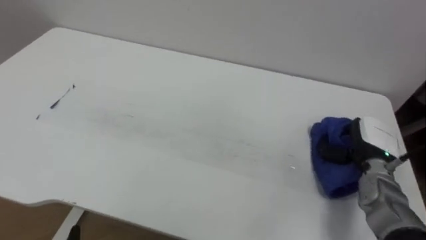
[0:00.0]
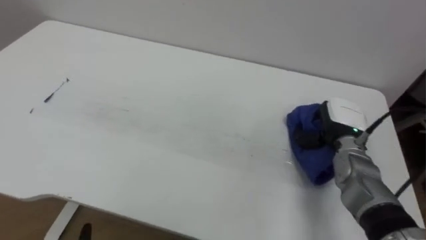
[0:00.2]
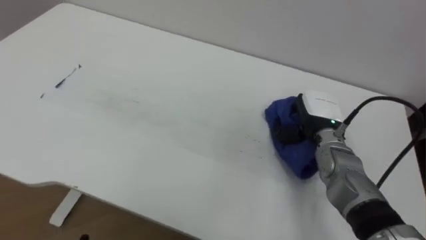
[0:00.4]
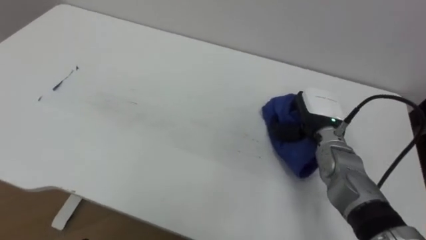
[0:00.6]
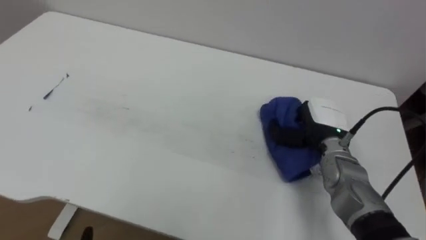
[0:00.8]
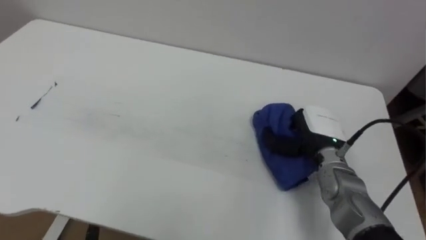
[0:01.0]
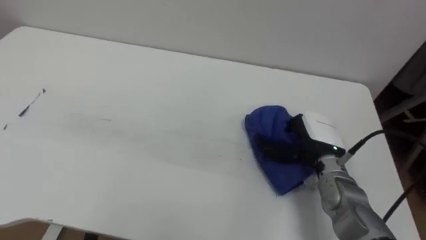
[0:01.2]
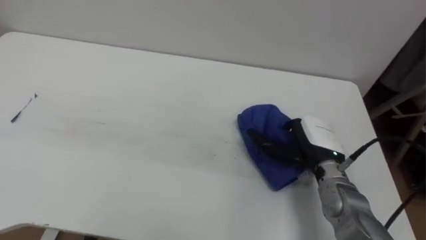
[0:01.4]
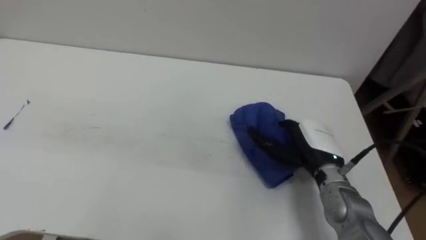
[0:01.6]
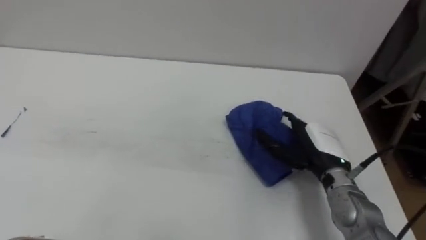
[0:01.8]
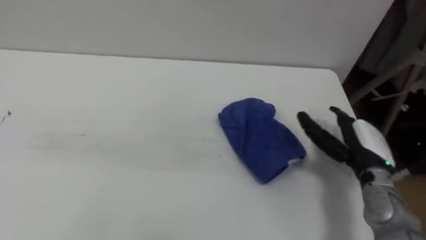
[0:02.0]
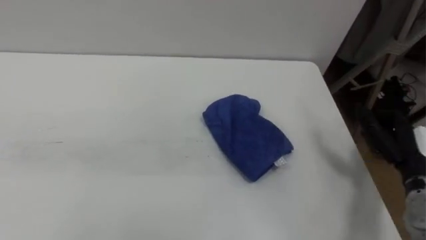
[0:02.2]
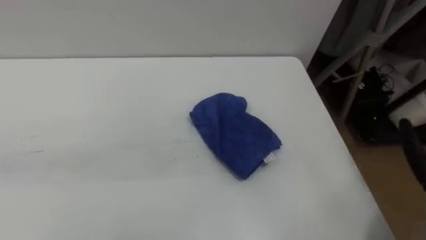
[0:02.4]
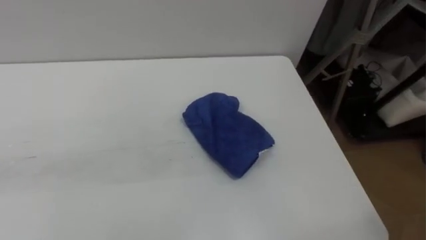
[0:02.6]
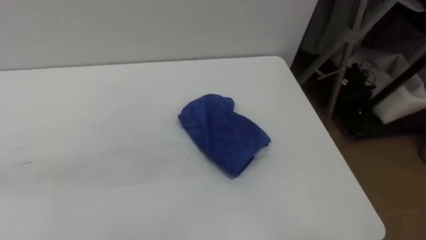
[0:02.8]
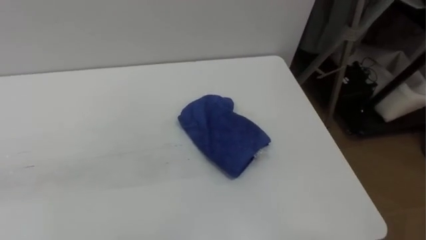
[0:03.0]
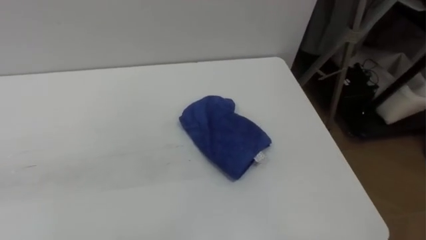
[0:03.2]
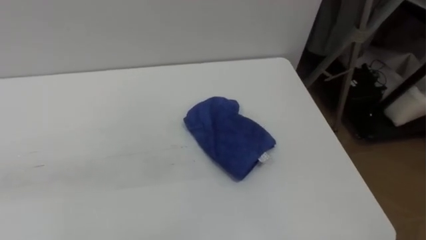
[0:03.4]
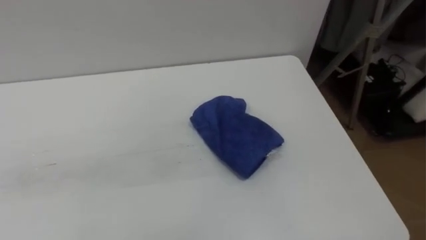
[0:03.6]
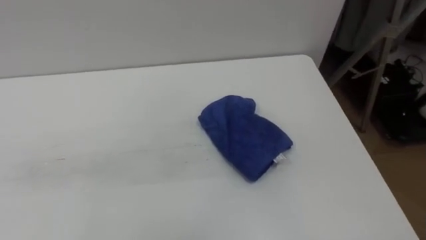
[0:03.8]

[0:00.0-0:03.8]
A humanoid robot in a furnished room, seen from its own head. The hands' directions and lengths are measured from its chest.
Task of the whole recording: Wipe the blue pen marks off the table with the rag.
0:00.0 to 0:01.2: The right hand moves to the left, about 10 cm, and opens its fingers.

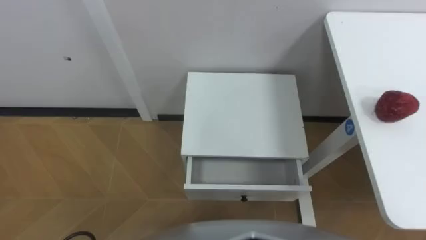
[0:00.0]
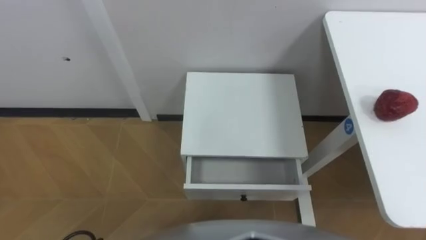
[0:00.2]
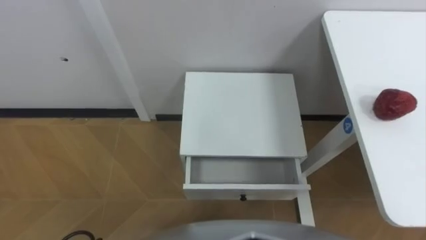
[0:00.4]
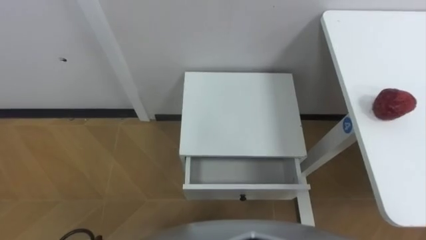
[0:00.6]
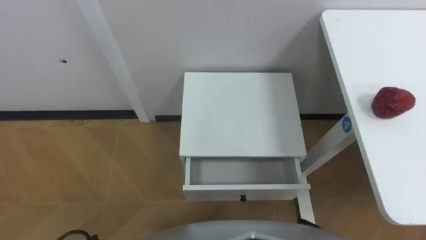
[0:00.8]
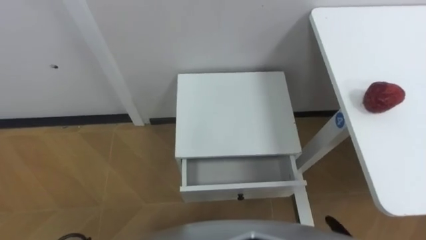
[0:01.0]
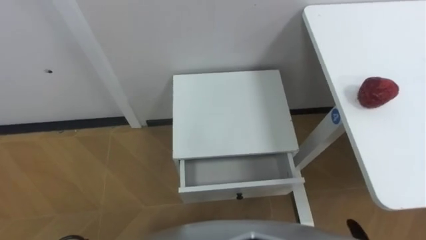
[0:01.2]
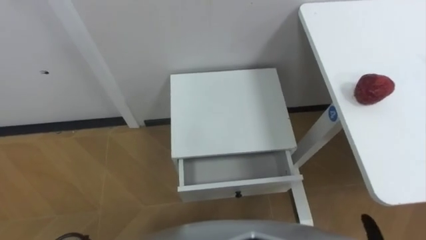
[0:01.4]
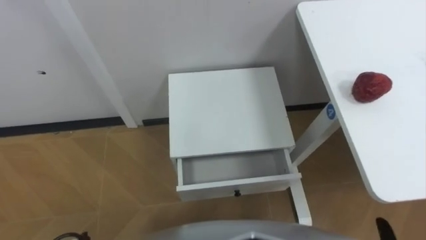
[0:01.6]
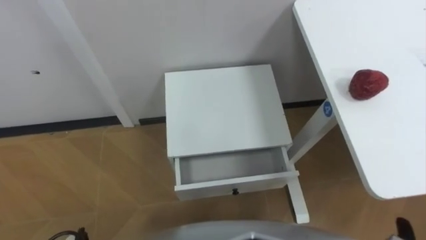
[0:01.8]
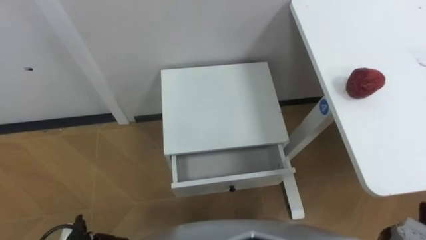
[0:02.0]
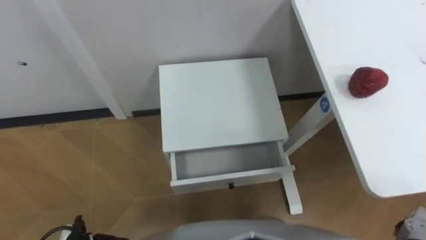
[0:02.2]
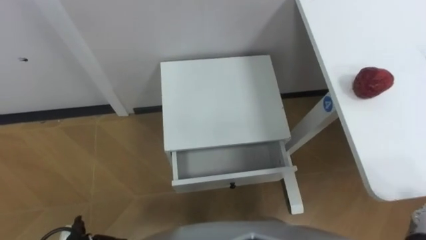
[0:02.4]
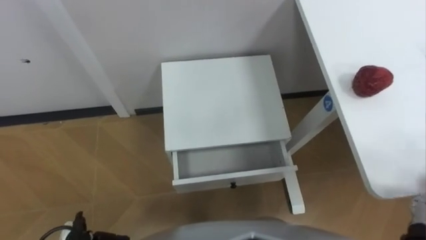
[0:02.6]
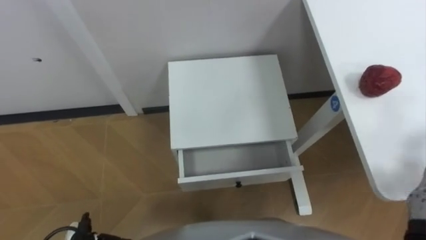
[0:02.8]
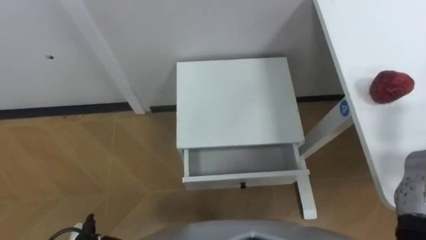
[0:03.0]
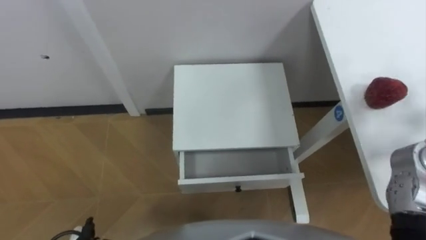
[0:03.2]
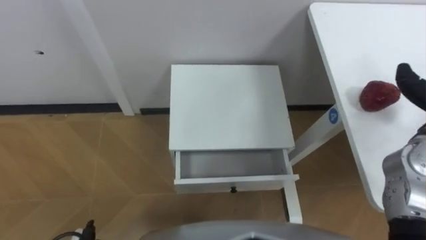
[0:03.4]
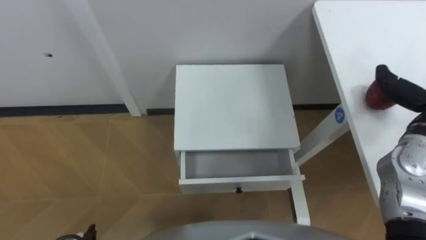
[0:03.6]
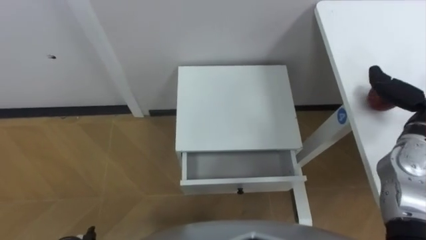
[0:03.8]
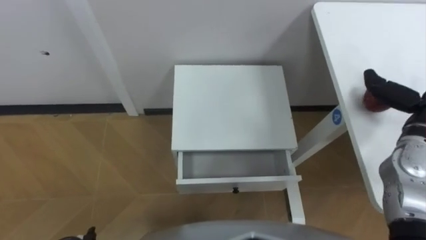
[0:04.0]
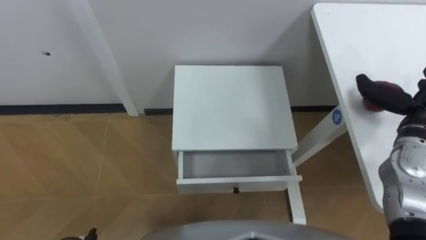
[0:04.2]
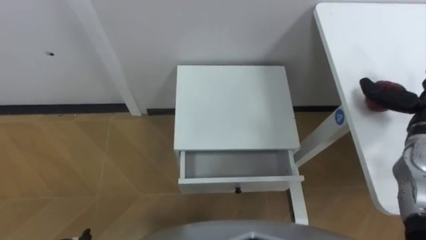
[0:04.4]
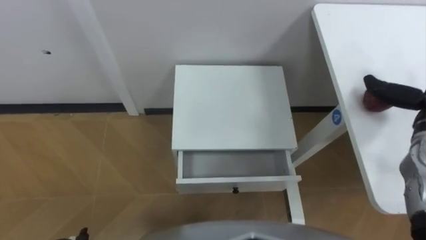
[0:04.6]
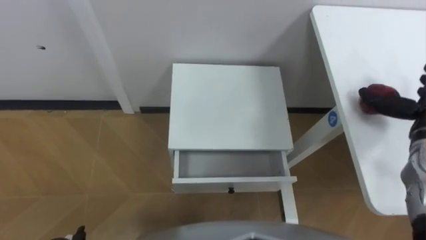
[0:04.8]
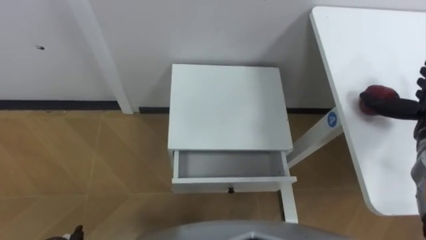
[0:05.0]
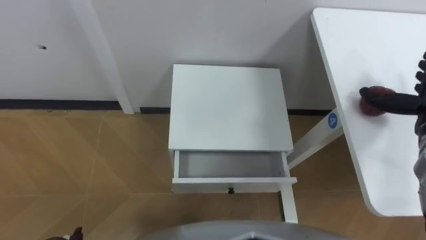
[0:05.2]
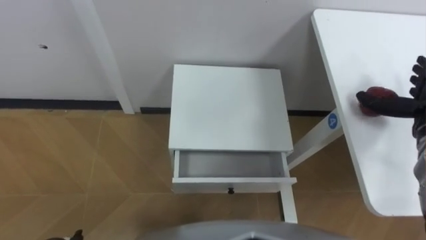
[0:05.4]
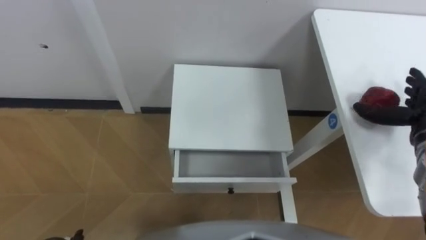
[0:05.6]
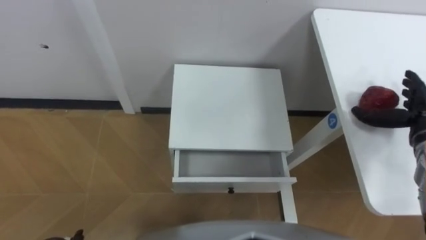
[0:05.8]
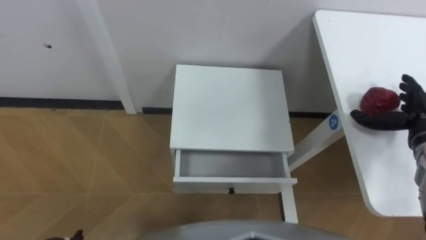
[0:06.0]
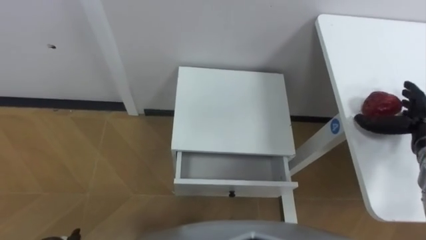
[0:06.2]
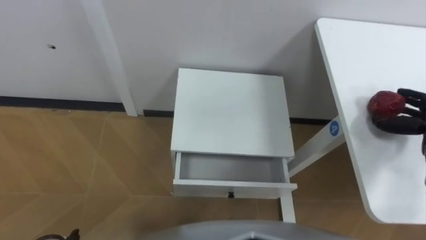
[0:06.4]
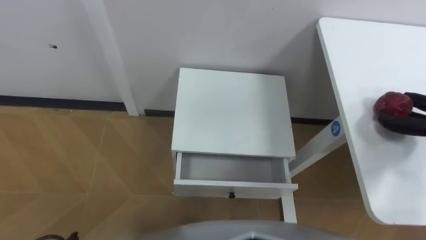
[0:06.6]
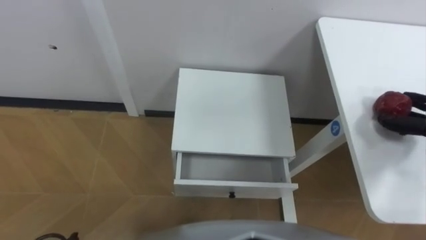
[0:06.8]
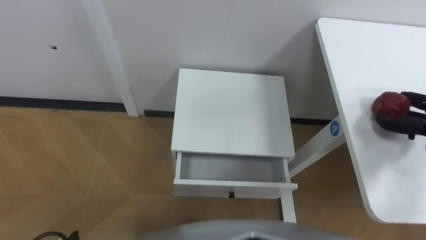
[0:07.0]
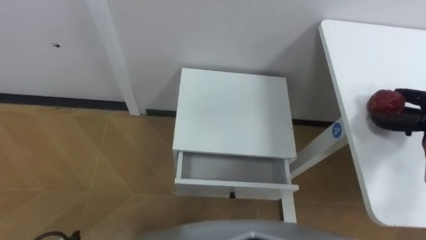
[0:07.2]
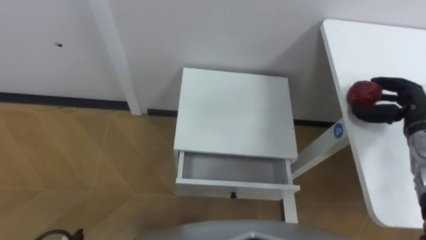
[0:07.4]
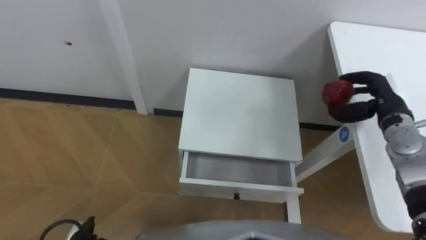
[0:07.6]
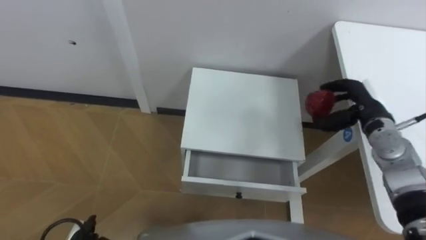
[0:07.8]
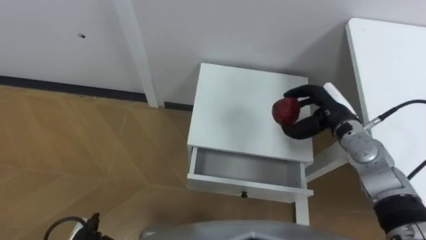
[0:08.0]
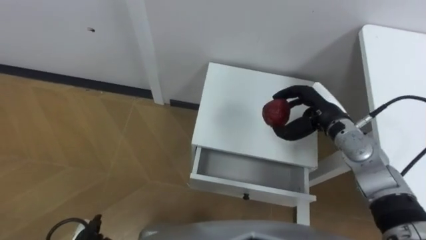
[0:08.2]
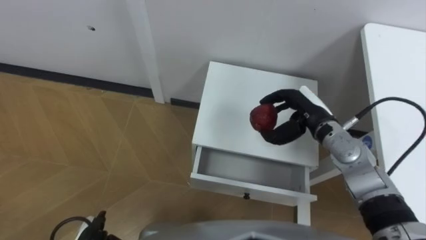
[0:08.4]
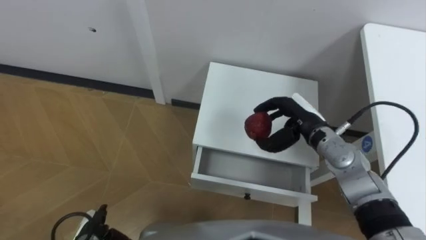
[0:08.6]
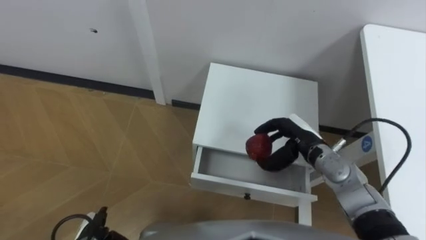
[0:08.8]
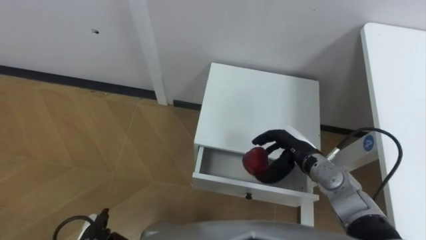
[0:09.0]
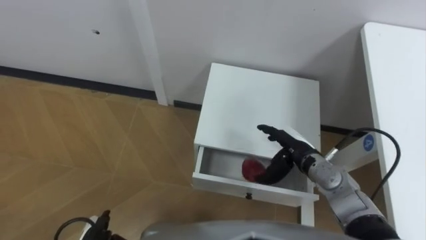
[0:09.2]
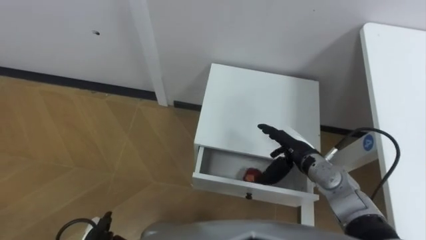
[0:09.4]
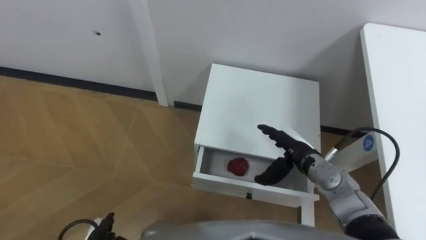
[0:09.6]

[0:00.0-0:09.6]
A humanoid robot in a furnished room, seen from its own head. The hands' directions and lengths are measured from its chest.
Task of the whole recording: Pick up the apple from the table, put it in the drawer, and close the drawer with leg.
0:08.0 to 0:09.6: The right hand goes roughly 10 cm to the left, downward and backward, and opens its fingers.

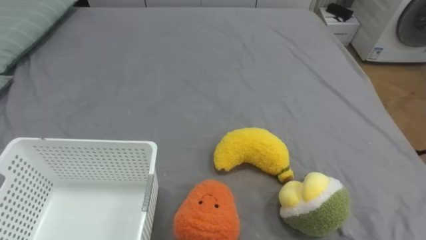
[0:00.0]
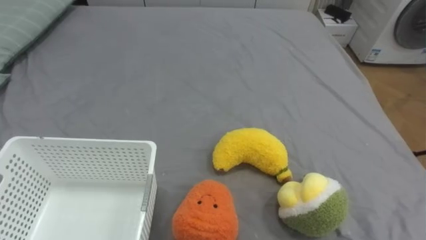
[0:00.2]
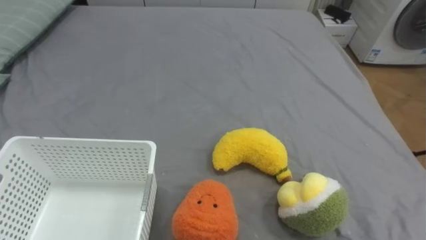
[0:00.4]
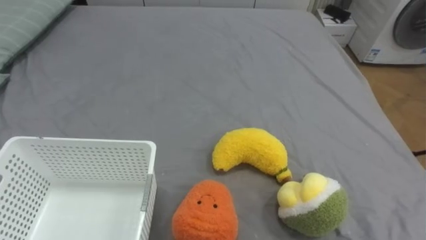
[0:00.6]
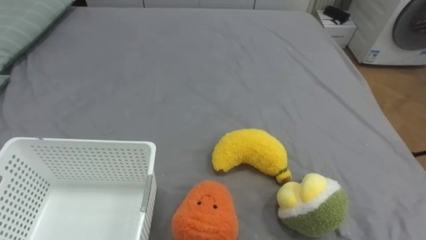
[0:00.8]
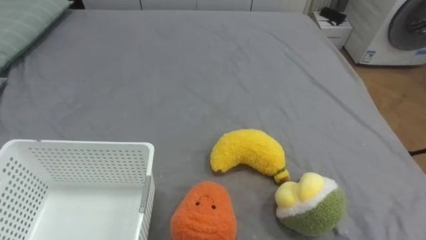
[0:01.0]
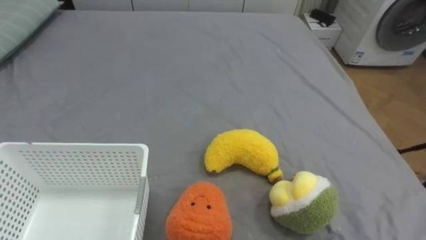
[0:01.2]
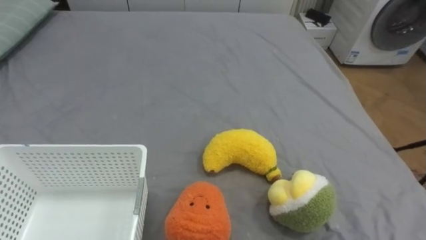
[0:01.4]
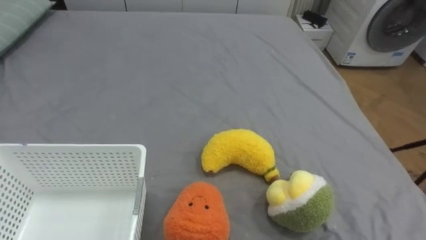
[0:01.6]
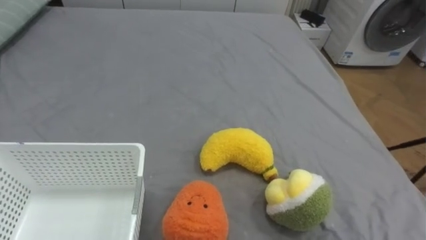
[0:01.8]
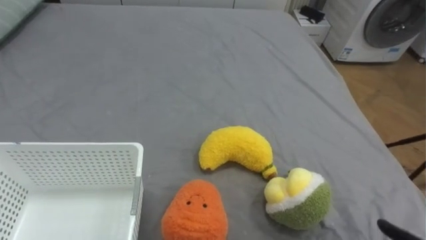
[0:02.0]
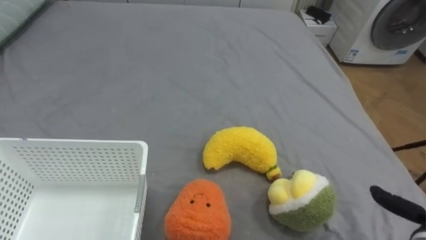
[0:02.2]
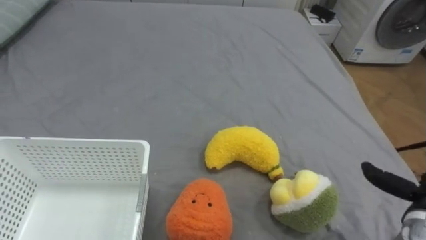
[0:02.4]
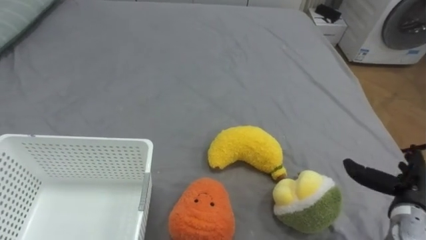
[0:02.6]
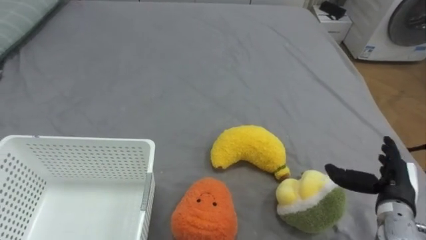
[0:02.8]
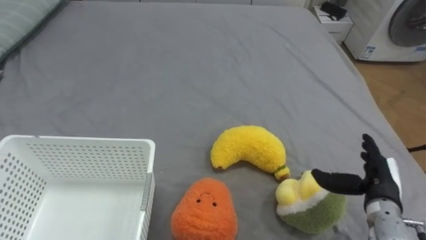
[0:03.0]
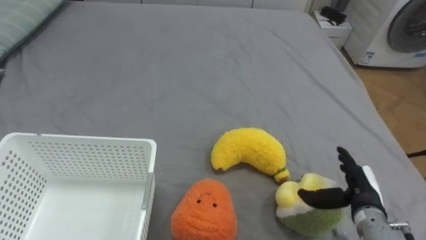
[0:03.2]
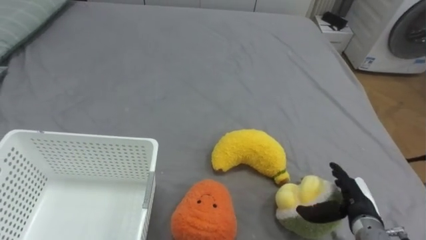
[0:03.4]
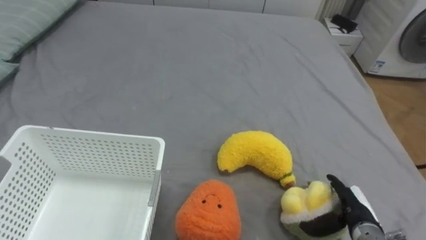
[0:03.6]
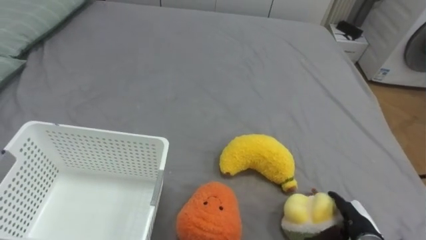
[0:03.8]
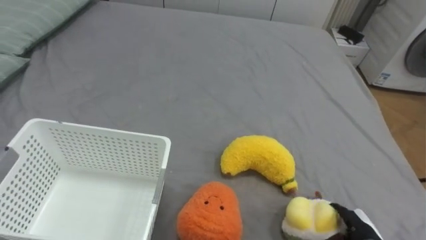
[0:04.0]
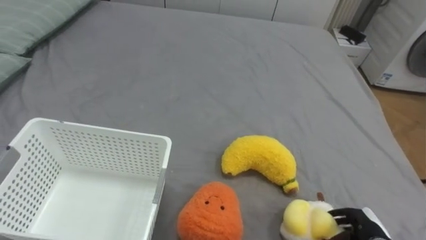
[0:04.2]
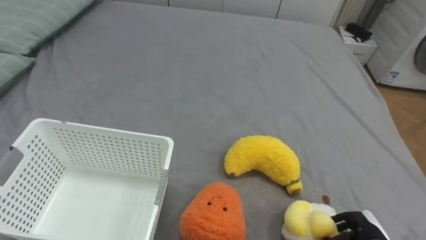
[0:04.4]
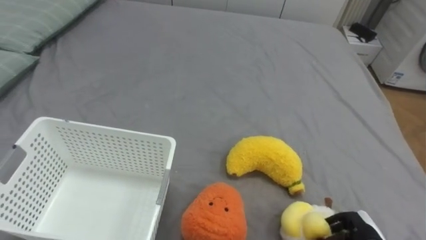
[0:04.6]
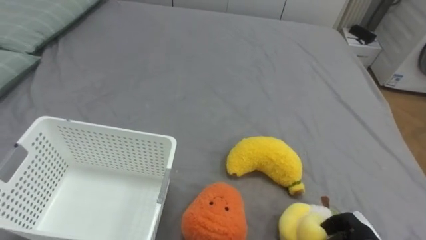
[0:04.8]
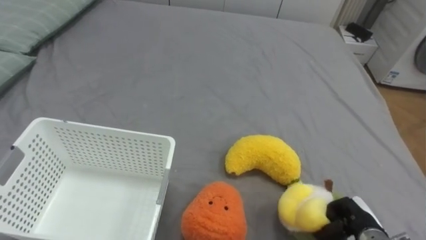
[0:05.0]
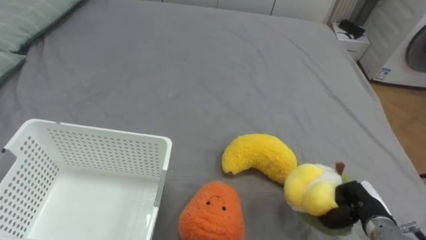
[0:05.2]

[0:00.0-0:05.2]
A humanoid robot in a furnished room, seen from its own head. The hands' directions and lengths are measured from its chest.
Task of the whole recording: Put the toys on the bed into the basket on the left.
0:03.4 to 0:05.2: The right hand closes its fingers.
